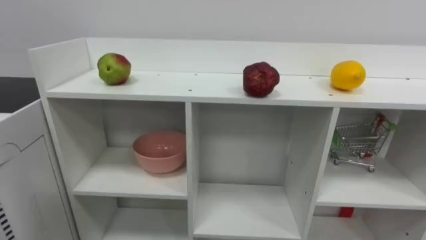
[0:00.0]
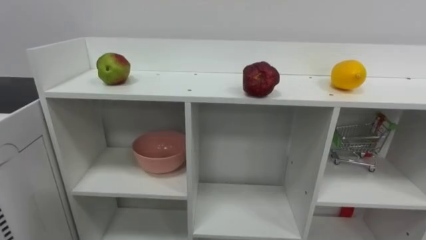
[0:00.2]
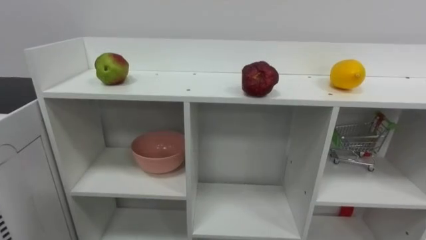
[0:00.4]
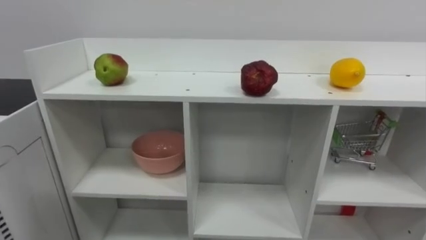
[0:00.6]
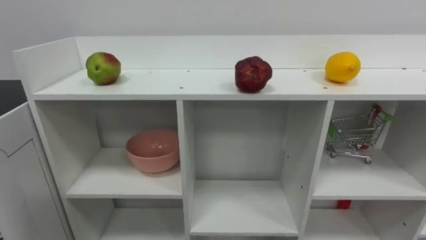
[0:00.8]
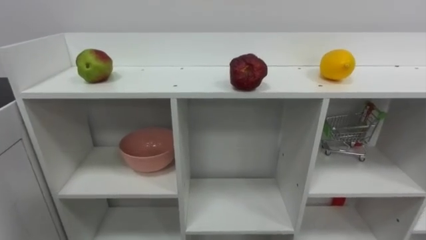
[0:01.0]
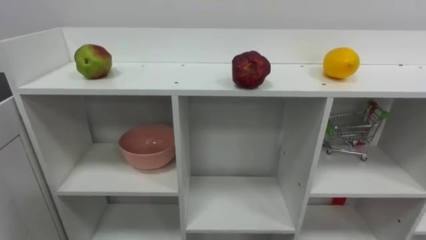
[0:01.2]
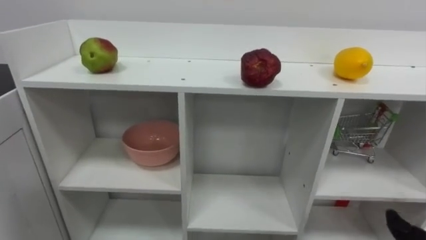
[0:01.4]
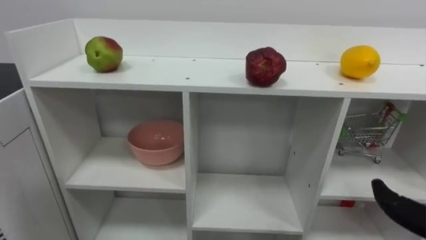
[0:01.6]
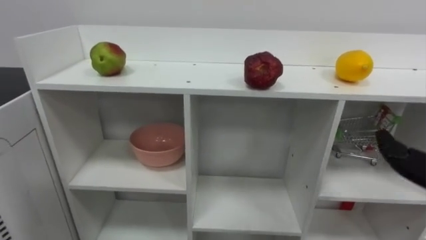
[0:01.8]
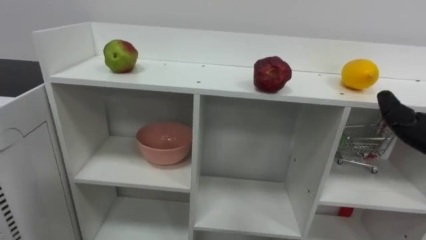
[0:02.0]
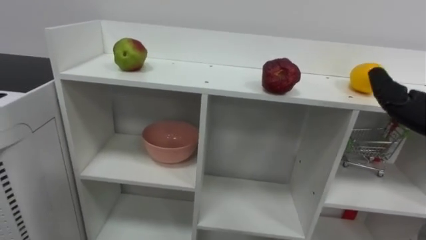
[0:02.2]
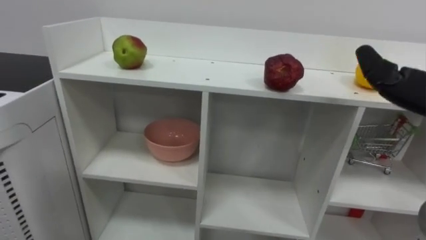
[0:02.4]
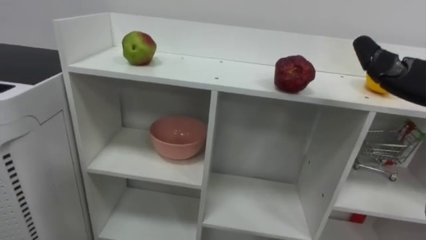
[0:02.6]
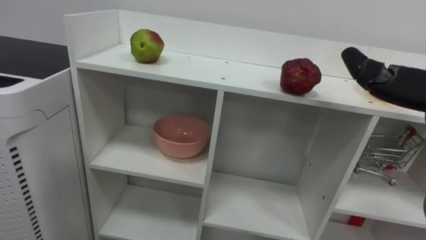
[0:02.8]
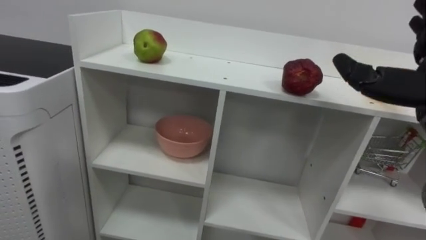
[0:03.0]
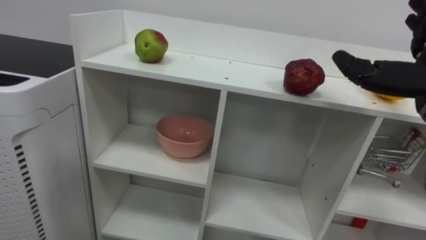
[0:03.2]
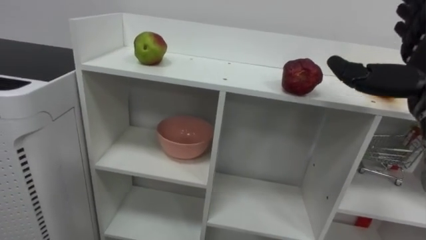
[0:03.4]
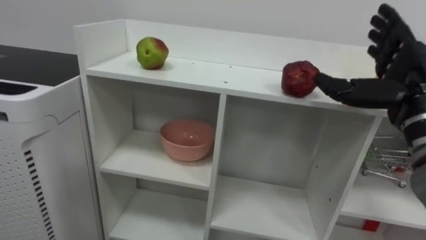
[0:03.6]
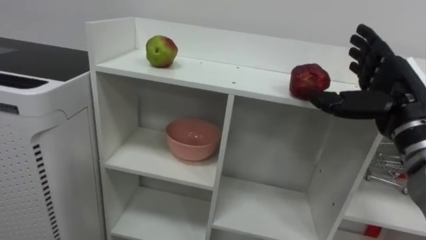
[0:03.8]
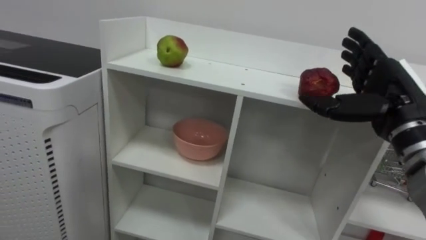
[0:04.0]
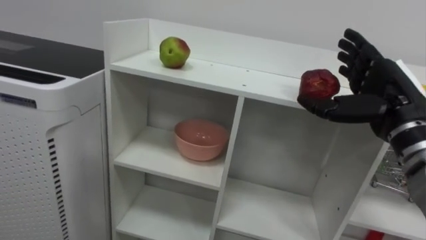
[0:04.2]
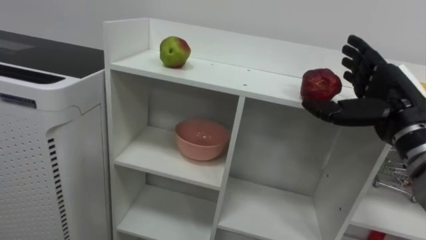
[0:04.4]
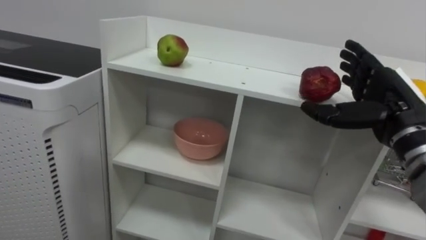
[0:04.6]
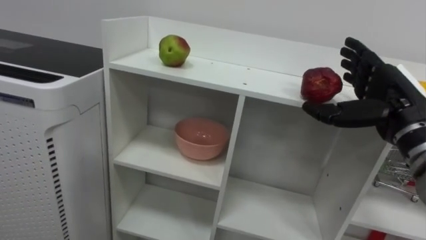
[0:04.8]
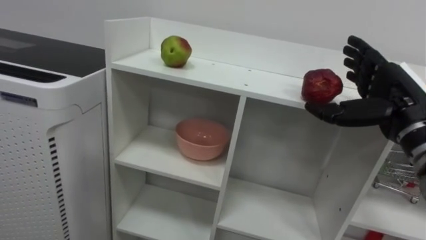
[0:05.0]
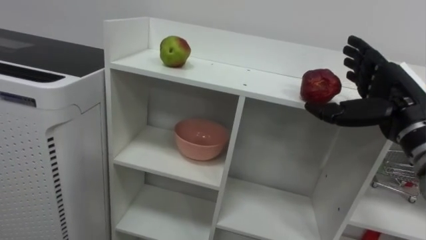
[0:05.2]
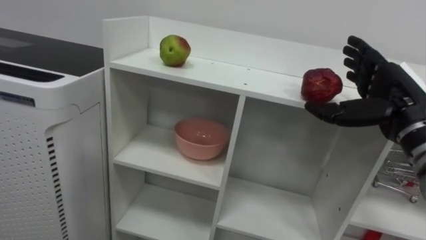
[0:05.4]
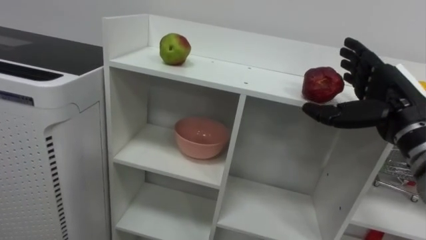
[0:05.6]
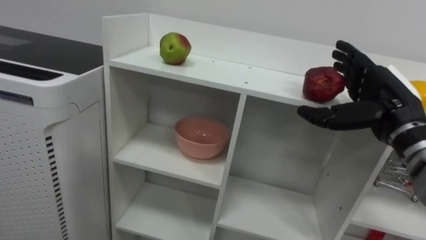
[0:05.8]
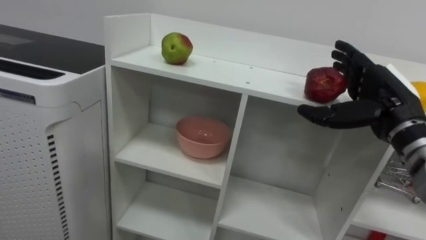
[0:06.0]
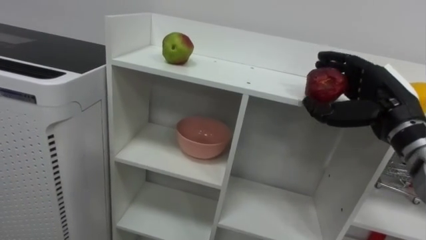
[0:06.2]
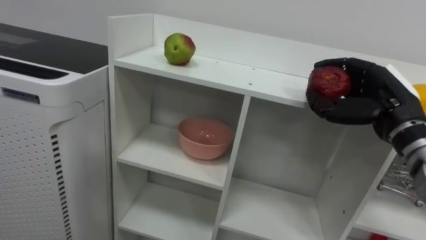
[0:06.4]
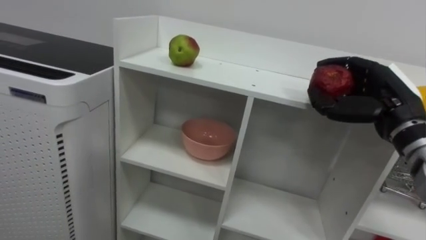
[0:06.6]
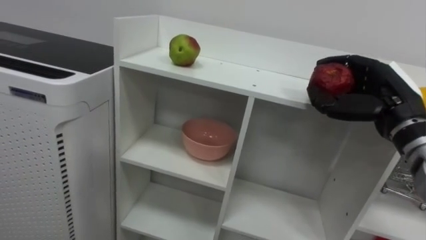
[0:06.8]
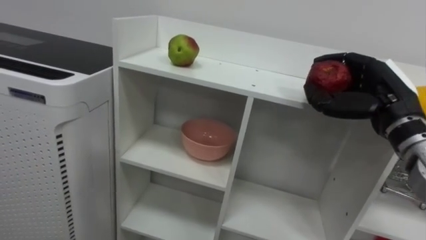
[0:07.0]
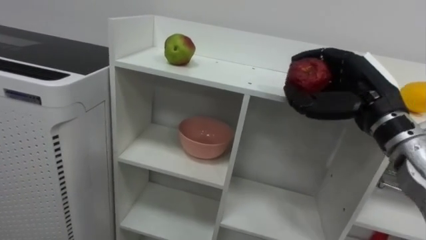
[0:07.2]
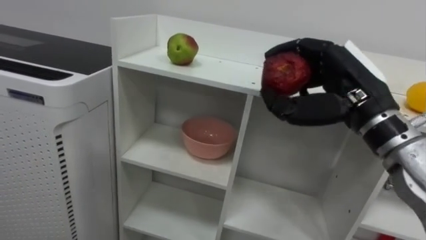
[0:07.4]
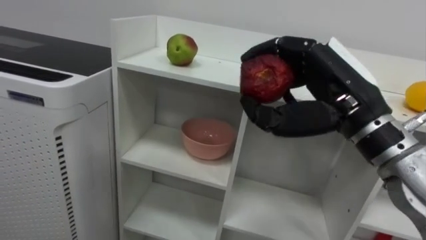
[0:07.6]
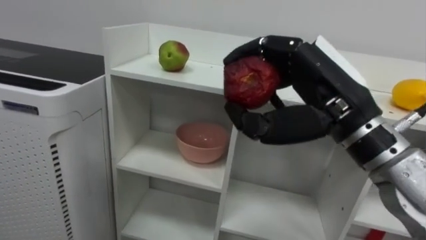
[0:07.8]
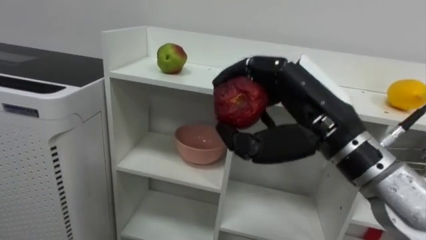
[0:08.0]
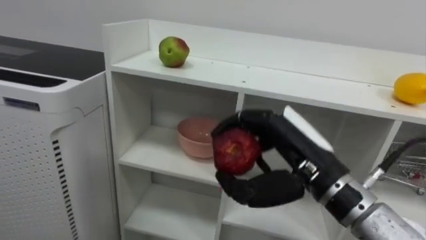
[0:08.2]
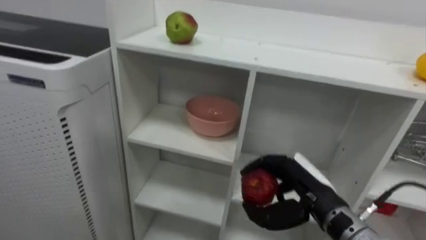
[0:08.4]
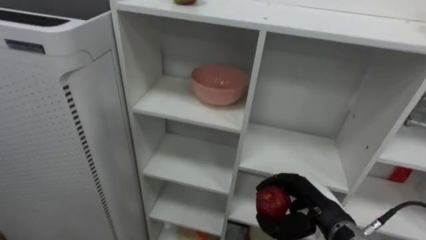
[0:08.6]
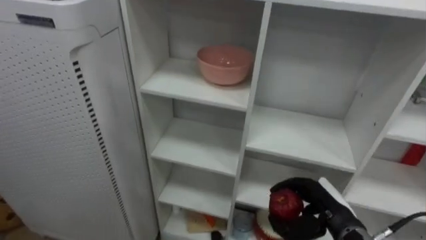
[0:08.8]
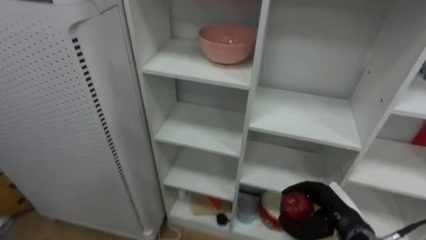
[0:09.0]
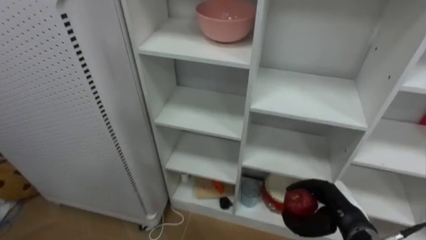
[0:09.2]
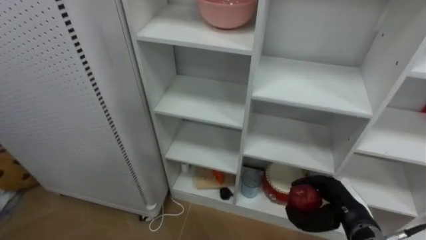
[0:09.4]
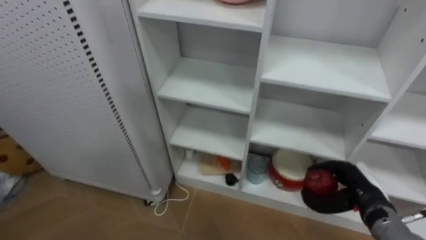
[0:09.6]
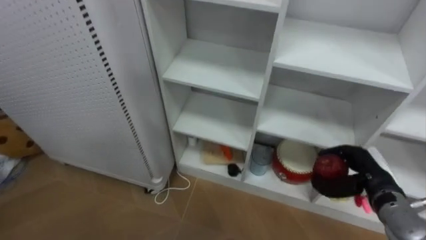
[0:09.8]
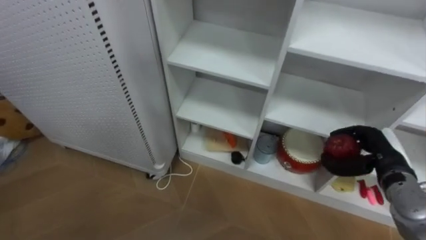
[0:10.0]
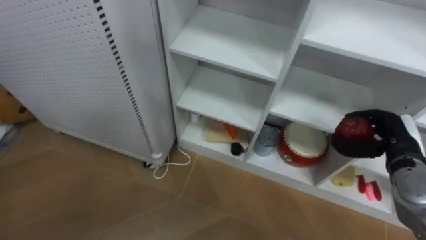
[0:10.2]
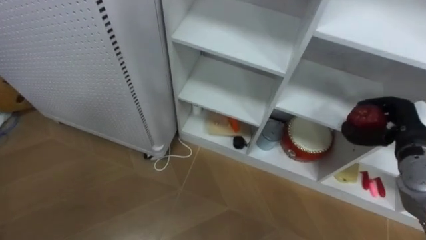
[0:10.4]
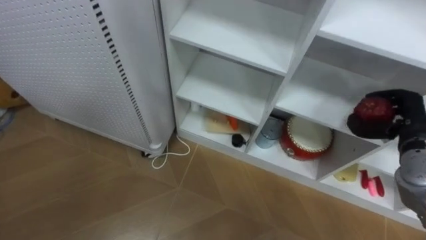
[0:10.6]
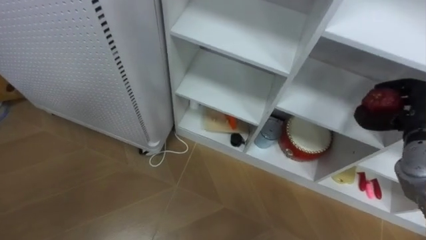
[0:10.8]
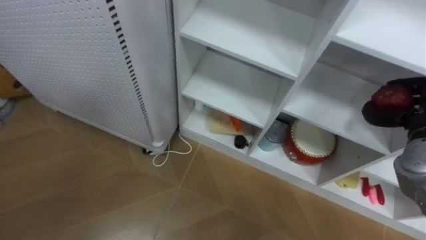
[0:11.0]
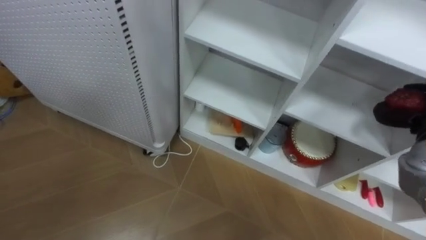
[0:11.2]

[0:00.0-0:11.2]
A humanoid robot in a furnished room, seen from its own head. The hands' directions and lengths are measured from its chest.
Task of the whole recording: Put the apple in the cell in the second column from the left and the second row from the top.
0:04.8 to 0:06.4: The right hand closes up.
0:06.4 to 0:08.0: The right hand travels to the left and backward by approximately 15 cm.
0:08.0 to 0:09.6: The right hand travels downward and to the right by some 25 cm.

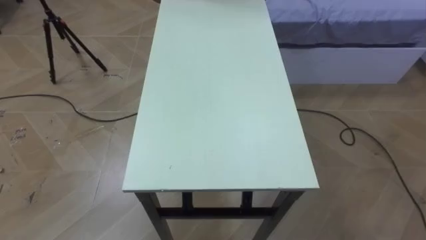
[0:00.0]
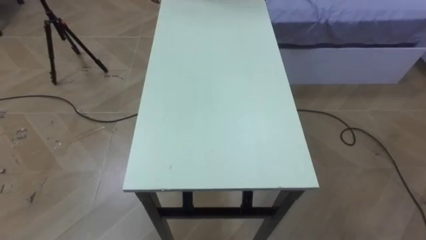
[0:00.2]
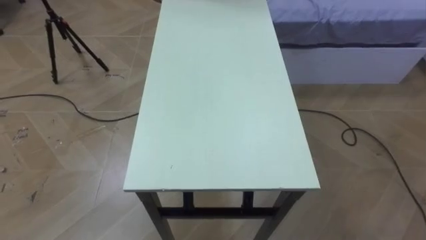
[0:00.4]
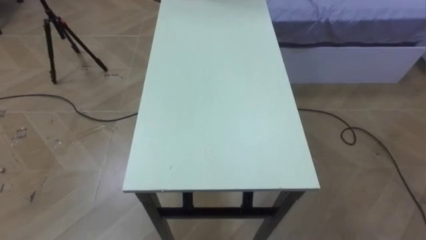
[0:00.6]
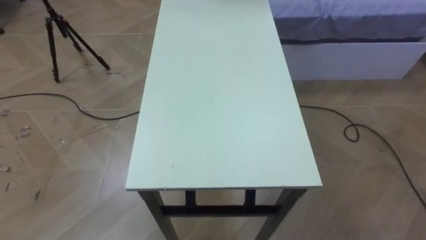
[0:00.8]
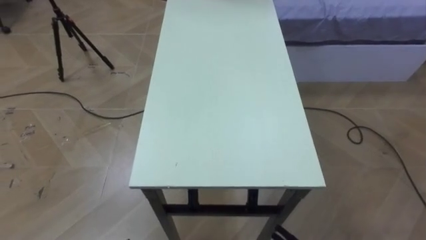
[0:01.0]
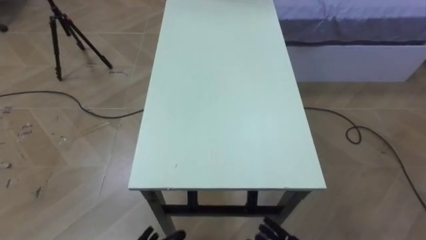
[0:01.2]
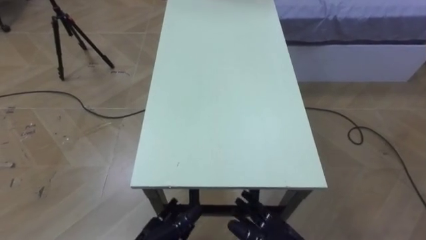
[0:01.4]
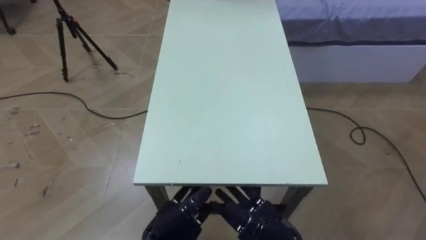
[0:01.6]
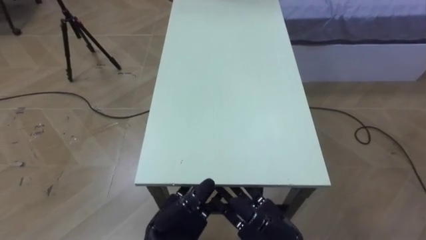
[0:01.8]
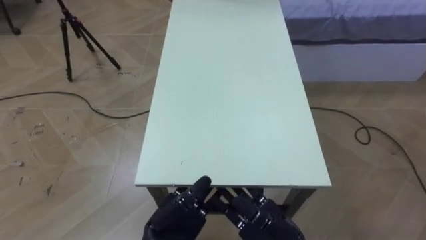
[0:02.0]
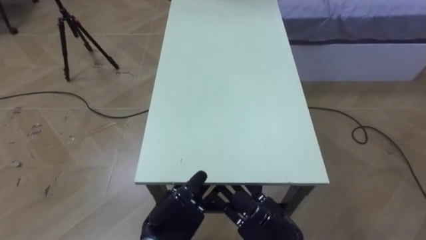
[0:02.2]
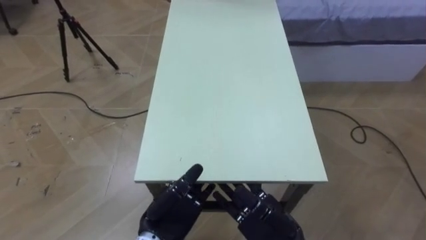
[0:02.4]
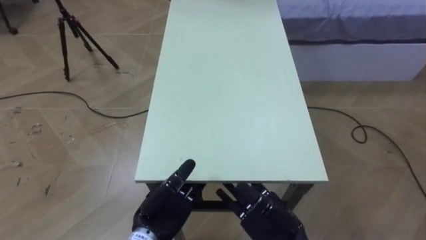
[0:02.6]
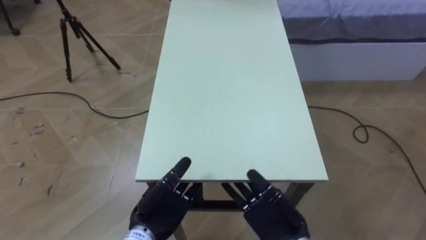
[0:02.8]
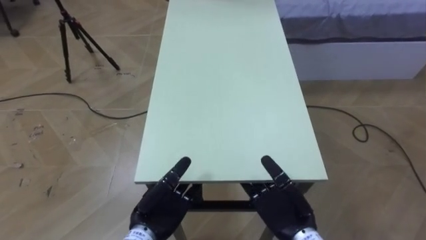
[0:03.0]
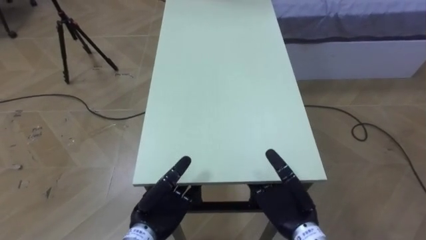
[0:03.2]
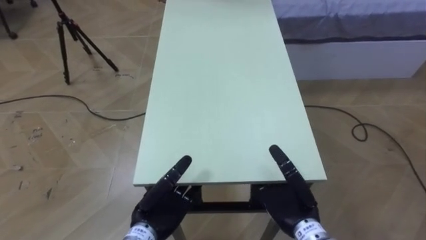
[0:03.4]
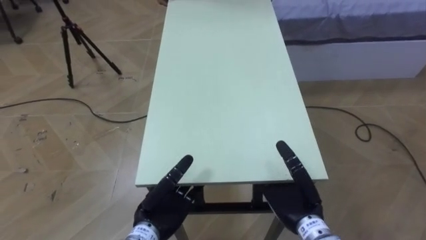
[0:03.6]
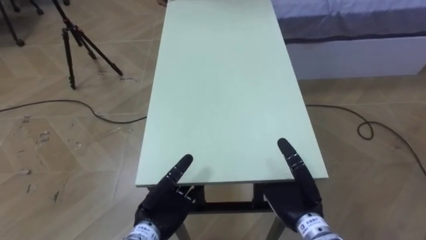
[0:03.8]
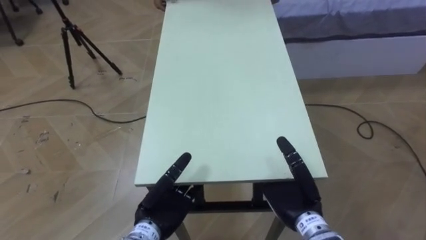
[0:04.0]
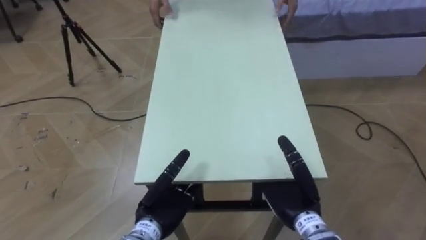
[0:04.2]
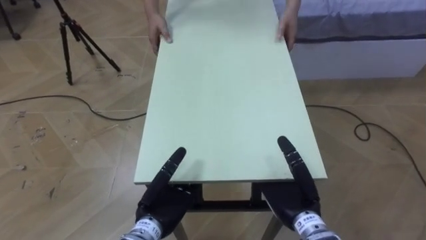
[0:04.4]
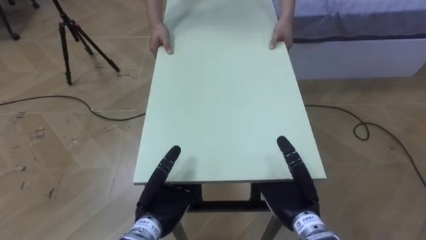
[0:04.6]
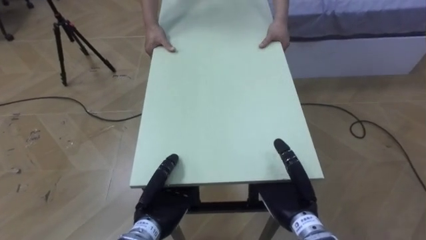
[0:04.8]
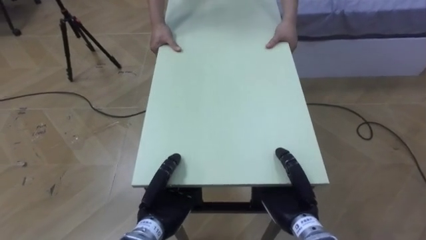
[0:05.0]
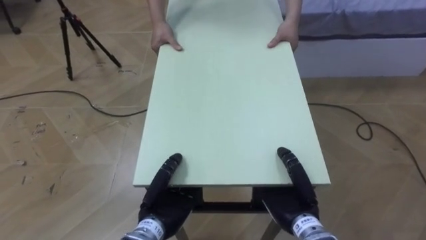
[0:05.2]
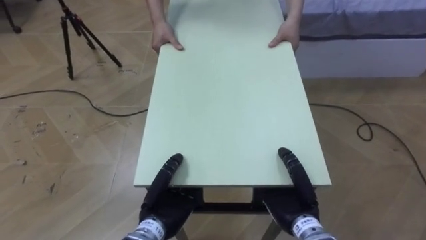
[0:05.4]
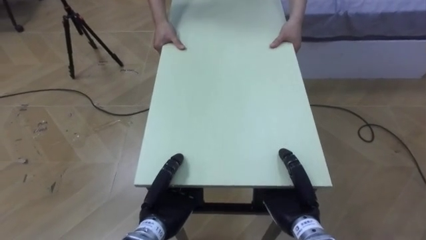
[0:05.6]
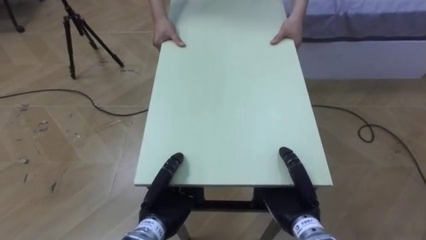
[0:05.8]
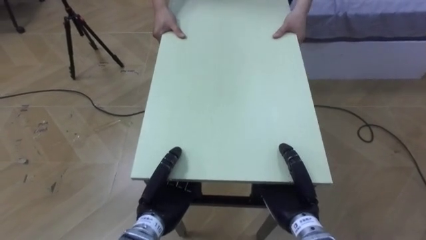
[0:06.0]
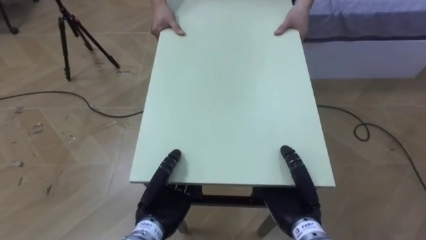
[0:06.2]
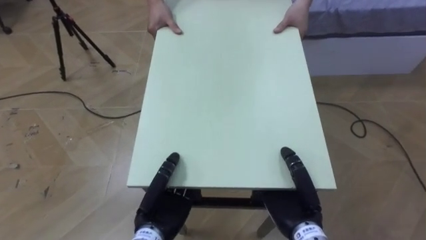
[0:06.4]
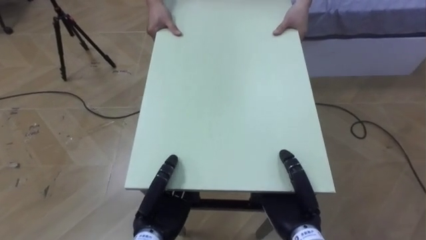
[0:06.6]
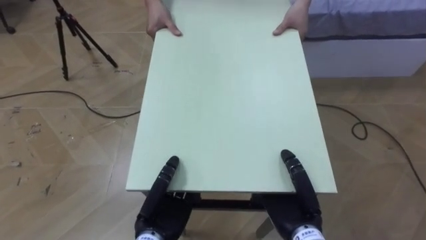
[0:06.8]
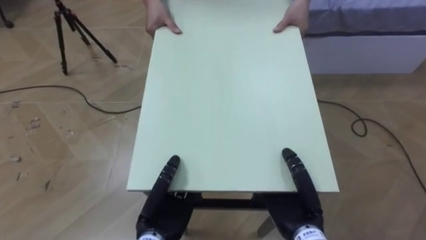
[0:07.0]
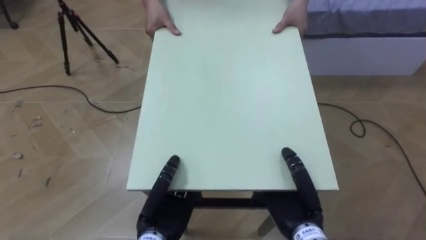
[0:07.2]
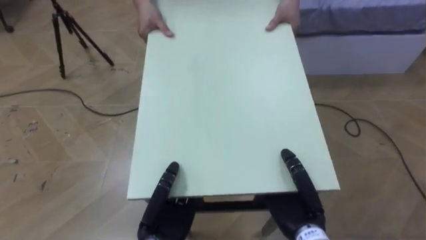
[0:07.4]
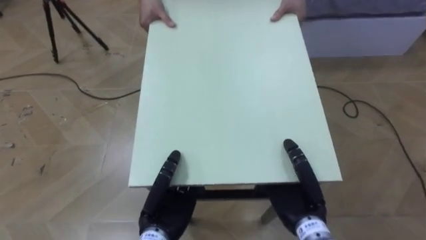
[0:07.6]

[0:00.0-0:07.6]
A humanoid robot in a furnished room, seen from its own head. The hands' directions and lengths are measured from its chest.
Task of the whole recording: Move the table to the back left with someone.
0:01.6 to 0:03.0: The right hand shifts by some 5 cm.
0:03.0 to 0:04.6: The hands make only small movements.
0:04.6 to 0:06.0: The left hand closes up; the right hand closes up.
